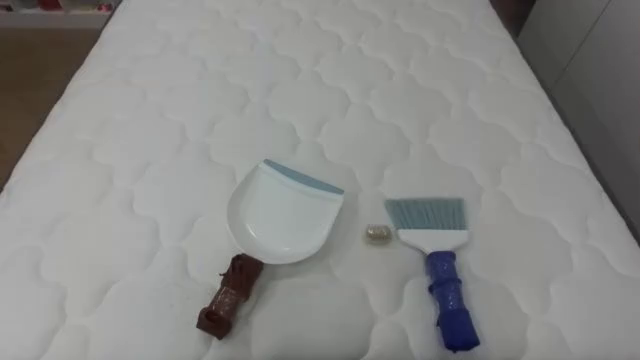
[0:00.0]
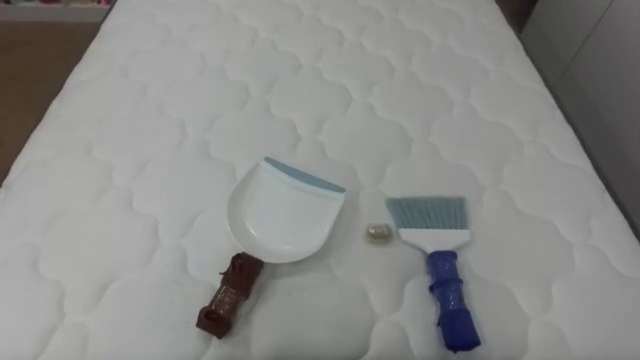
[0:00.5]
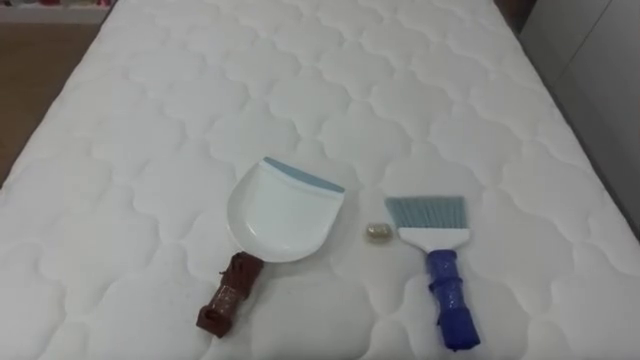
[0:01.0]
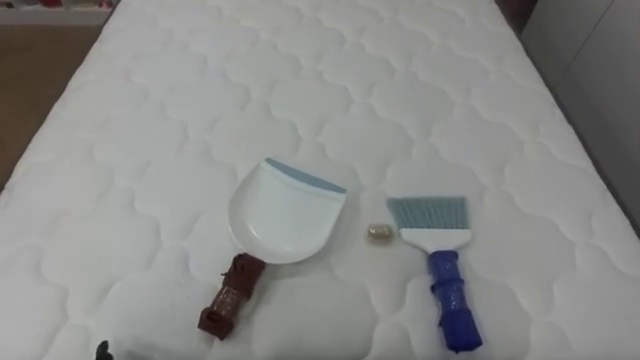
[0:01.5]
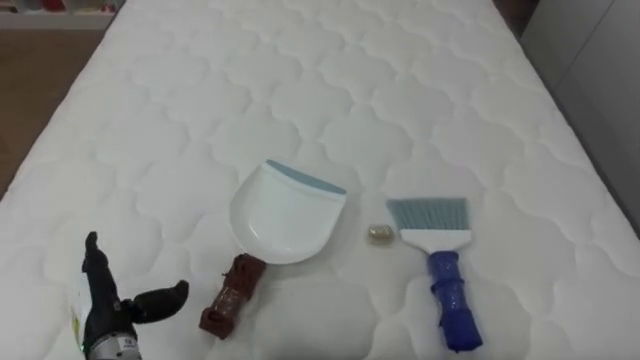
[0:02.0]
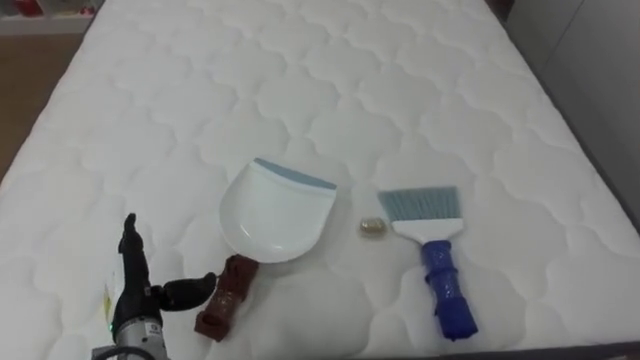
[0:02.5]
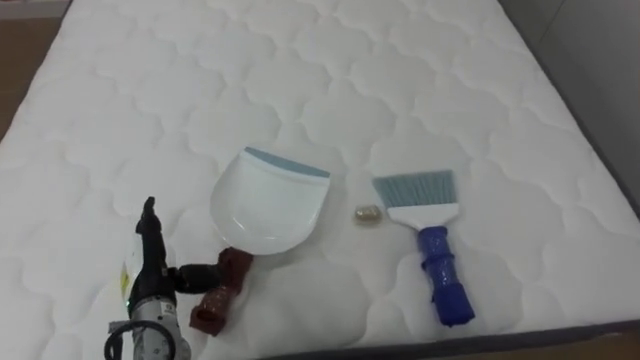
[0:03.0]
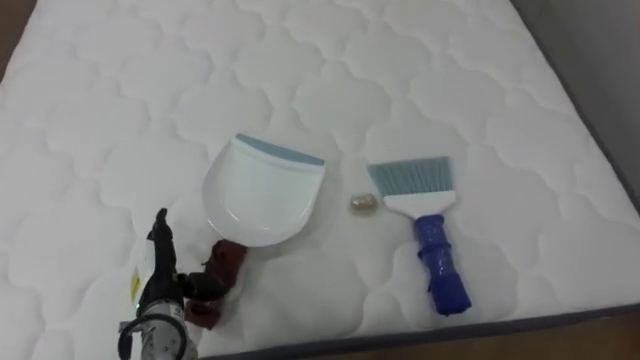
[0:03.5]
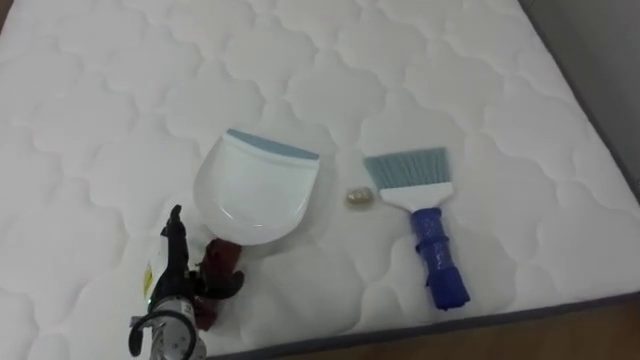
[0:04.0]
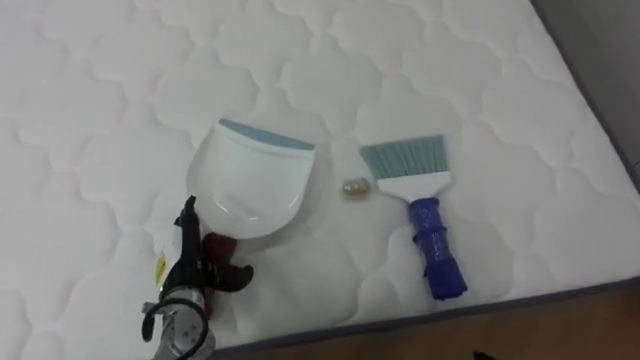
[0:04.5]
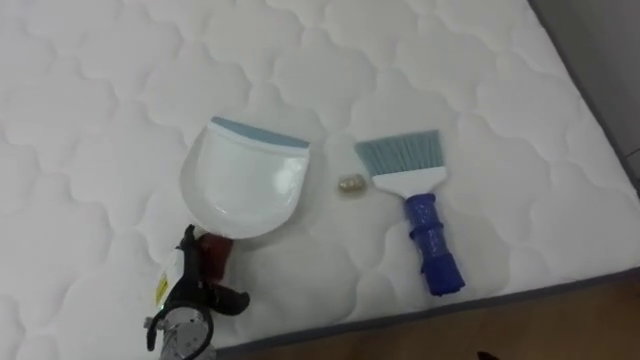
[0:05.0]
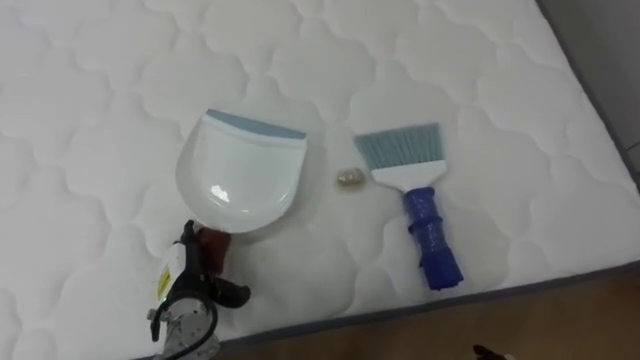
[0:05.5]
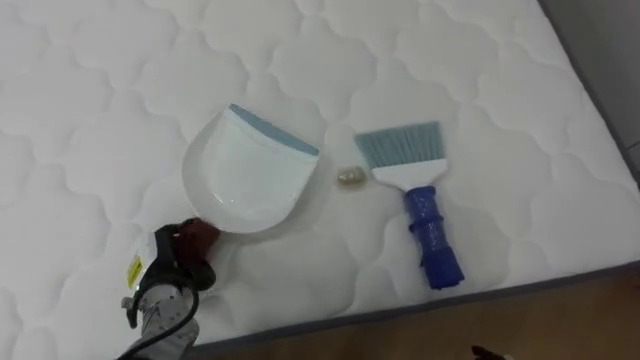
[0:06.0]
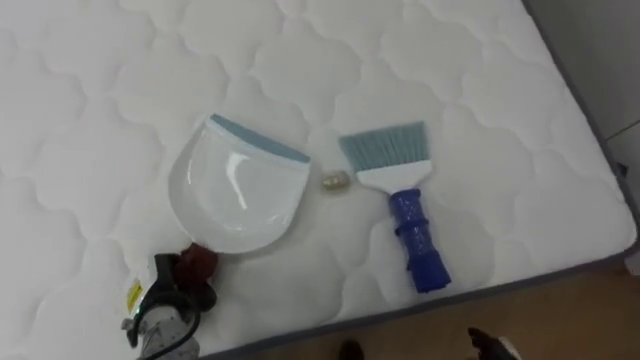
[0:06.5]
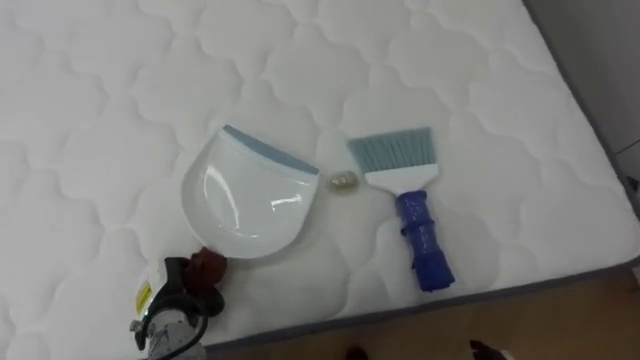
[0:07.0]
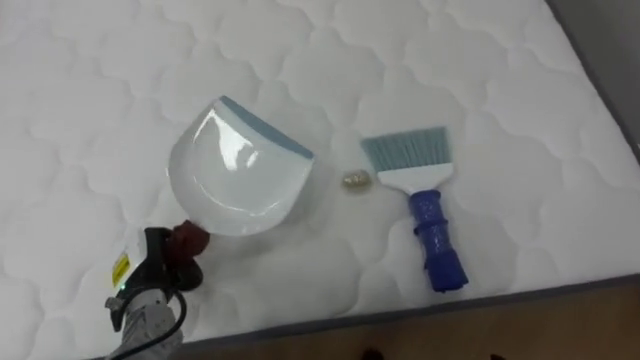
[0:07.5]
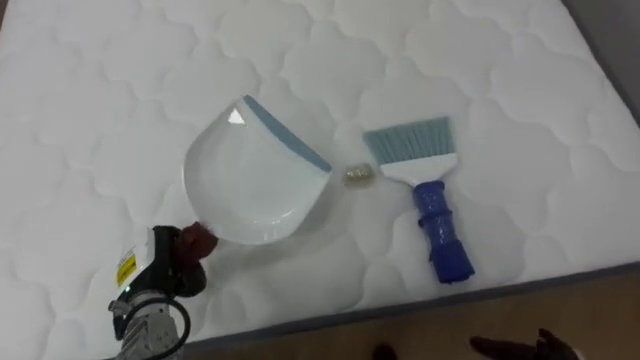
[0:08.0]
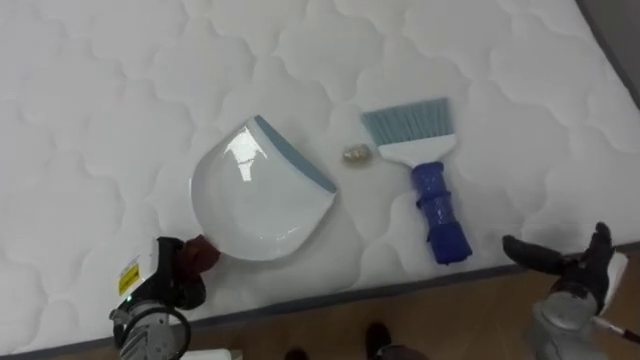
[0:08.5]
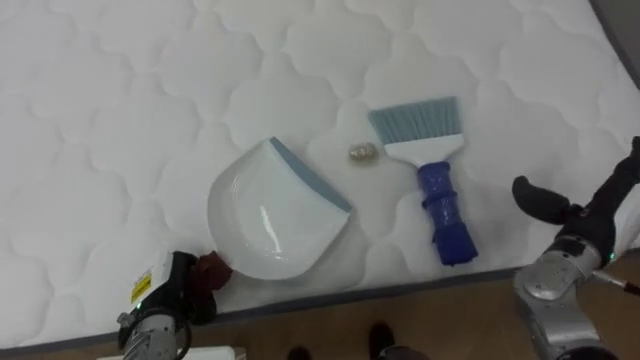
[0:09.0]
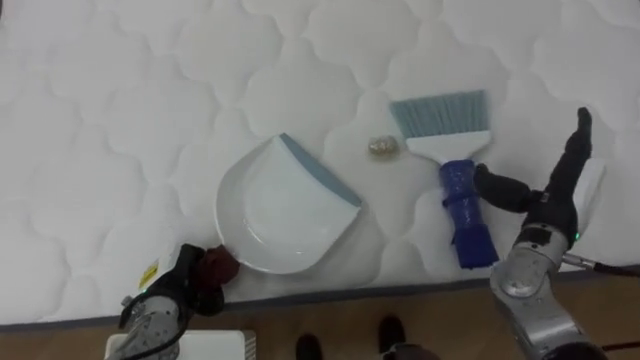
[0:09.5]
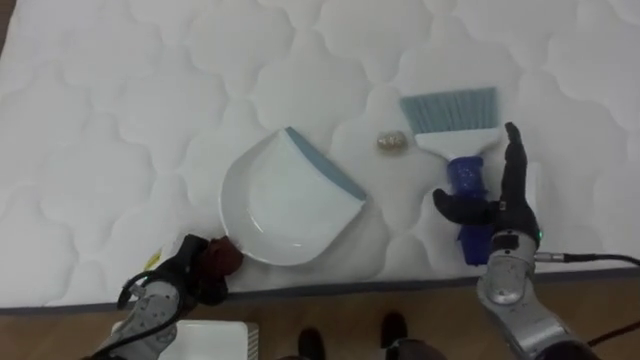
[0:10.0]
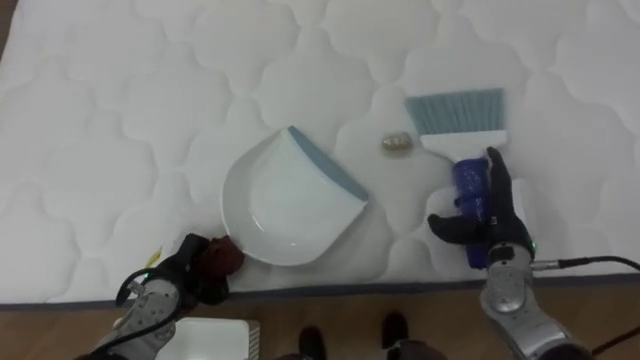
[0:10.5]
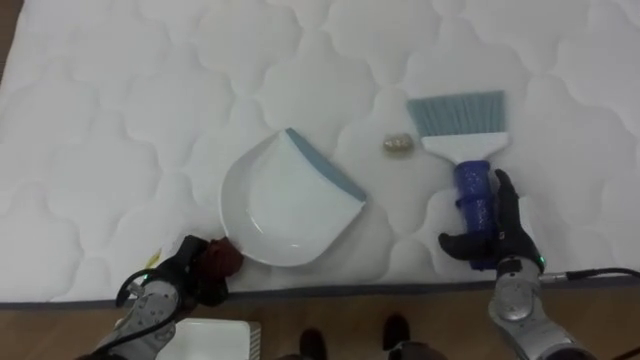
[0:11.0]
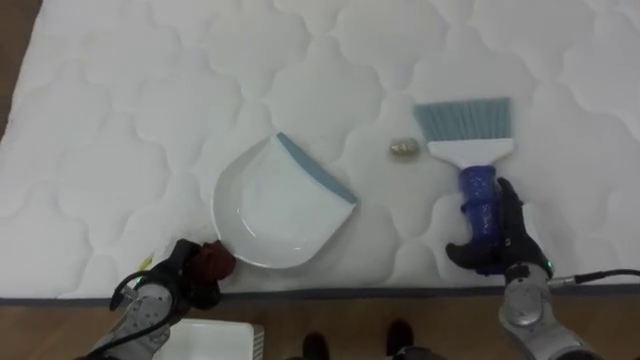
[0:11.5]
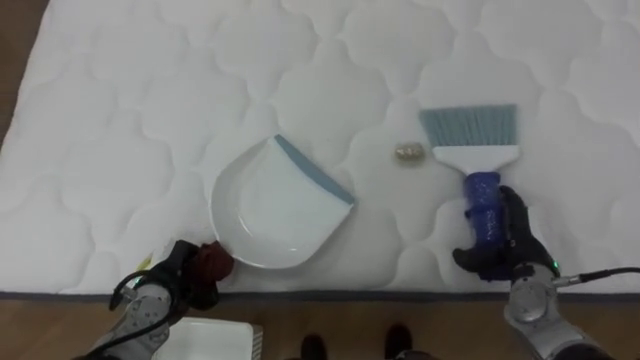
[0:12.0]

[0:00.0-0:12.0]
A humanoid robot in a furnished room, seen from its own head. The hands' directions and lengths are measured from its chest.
Task of the whole recording: Pick up the brush on your right and the dustpan on your left. Use the brush to sweep the crumpled paper on the bed into the dustpan, then turn left and empty it into the basket.
0:02.0 to 0:04.0: The left hand travels to the right and forward by about 10 cm.
0:04.0 to 0:06.0: The left hand closes its fingers.
0:06.0 to 0:08.0: The left hand closes up.
0:10.0 to 0:12.0: The right hand travels downward by roughly 5 cm.

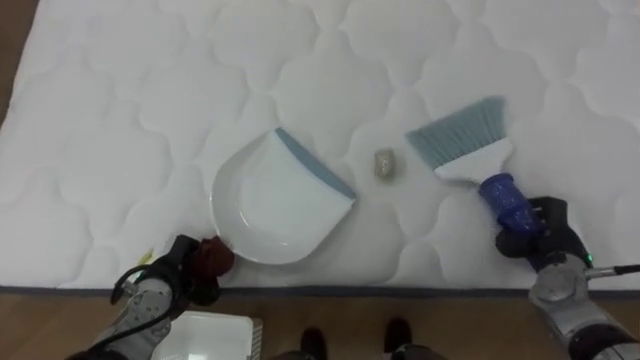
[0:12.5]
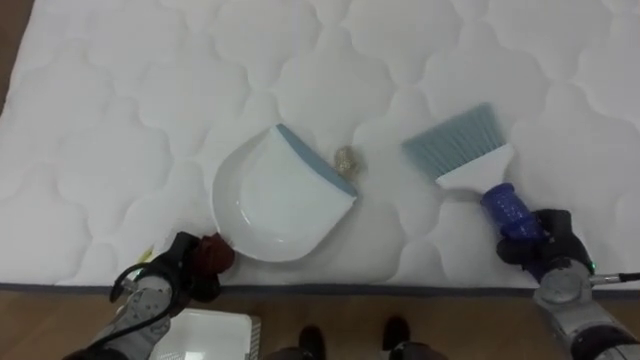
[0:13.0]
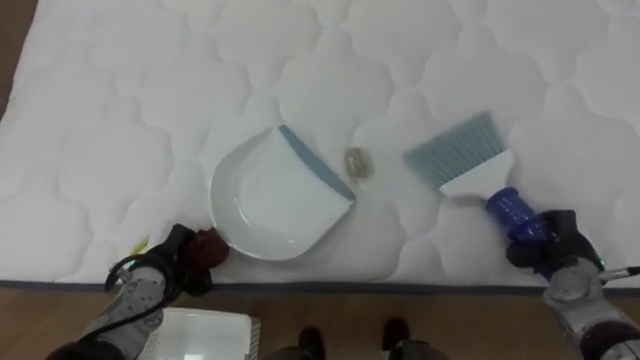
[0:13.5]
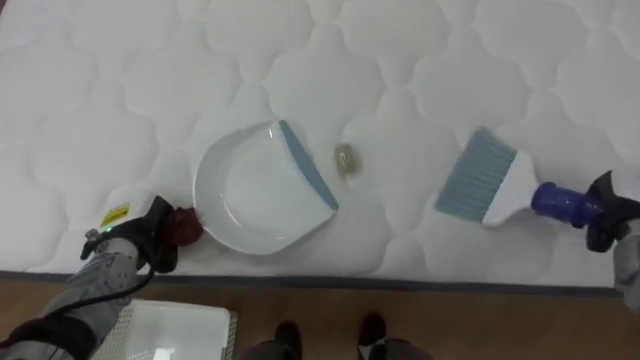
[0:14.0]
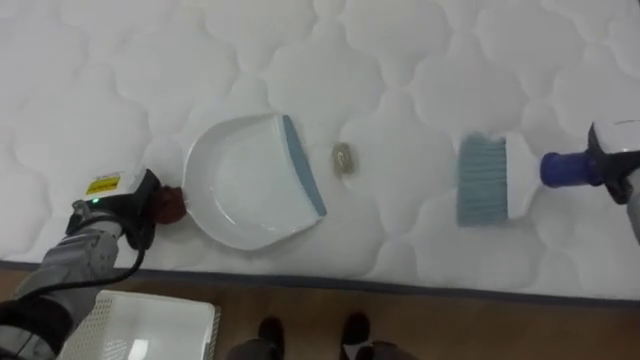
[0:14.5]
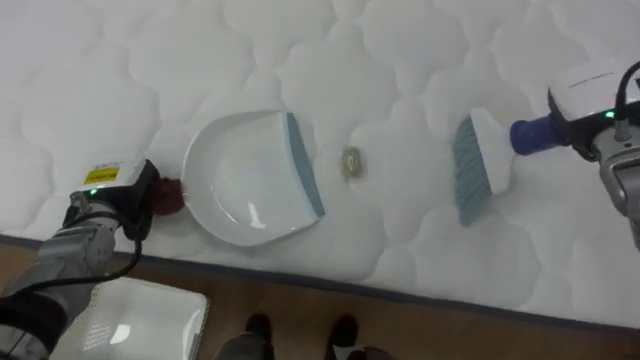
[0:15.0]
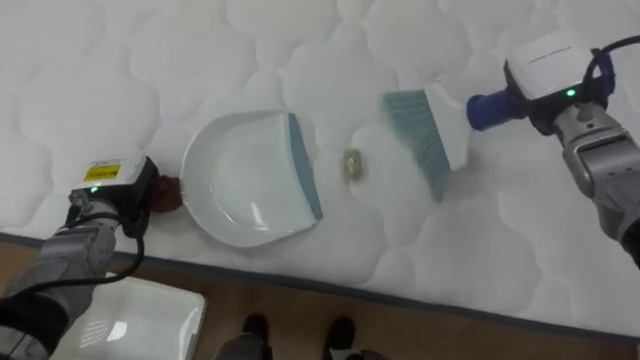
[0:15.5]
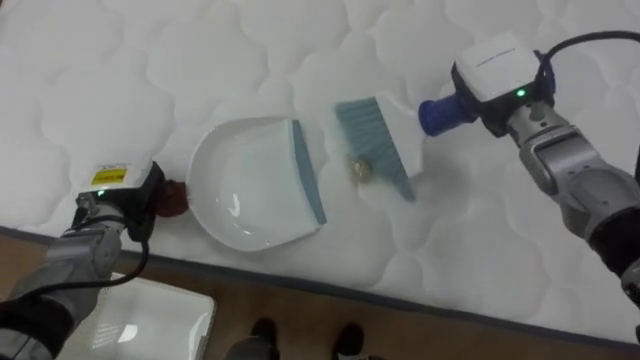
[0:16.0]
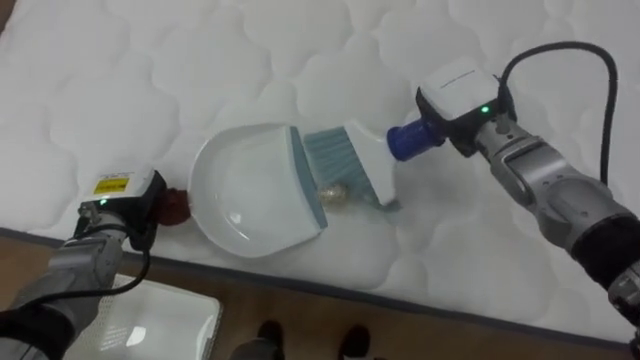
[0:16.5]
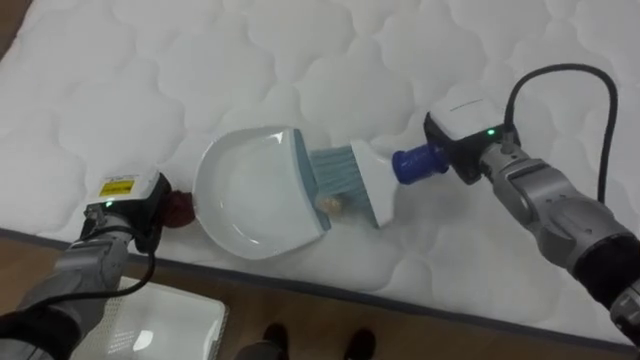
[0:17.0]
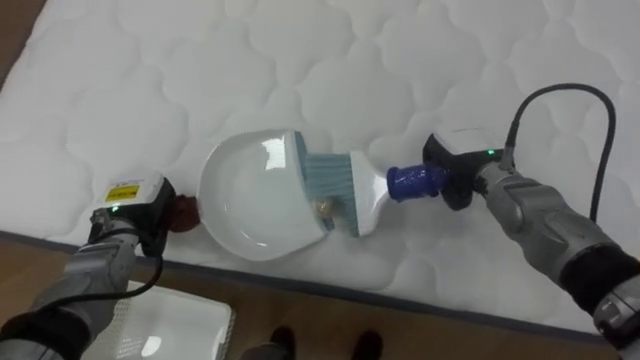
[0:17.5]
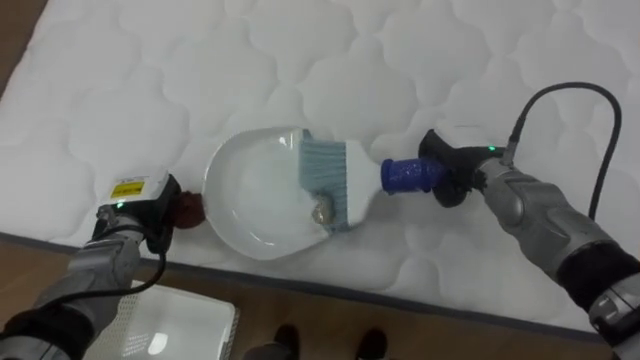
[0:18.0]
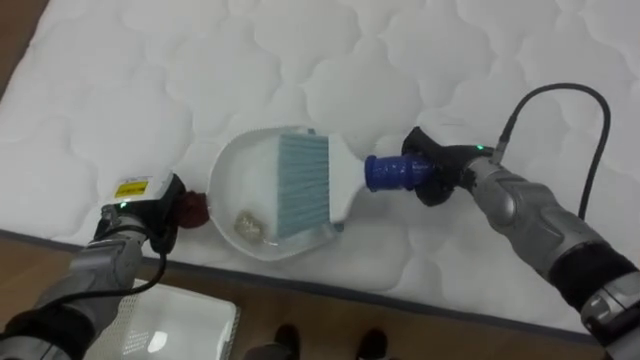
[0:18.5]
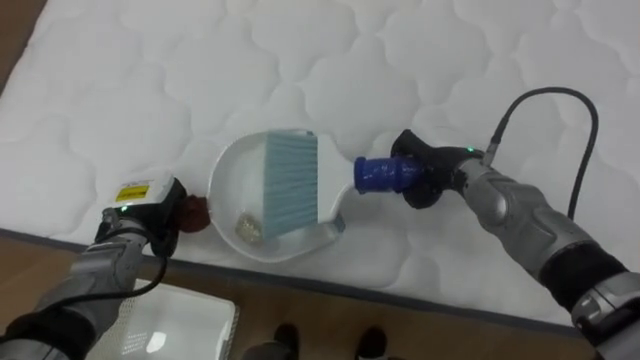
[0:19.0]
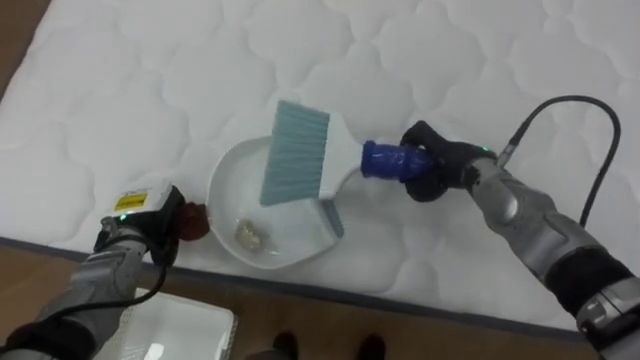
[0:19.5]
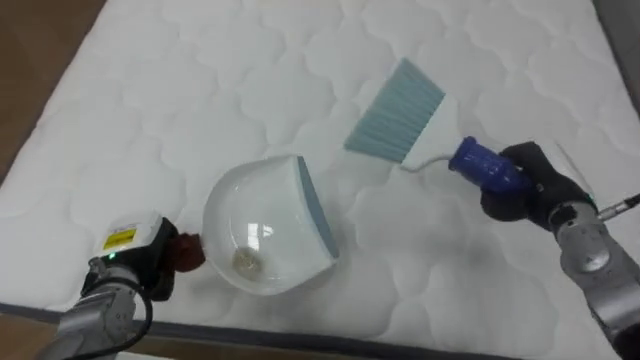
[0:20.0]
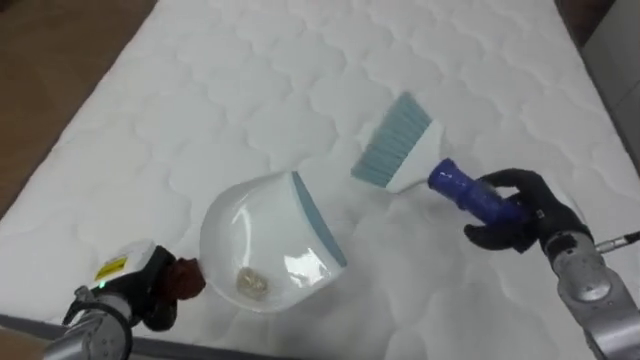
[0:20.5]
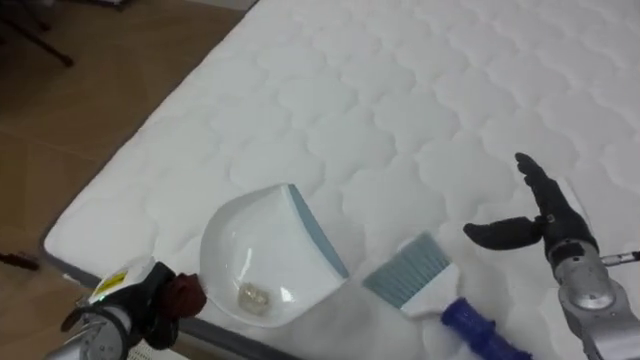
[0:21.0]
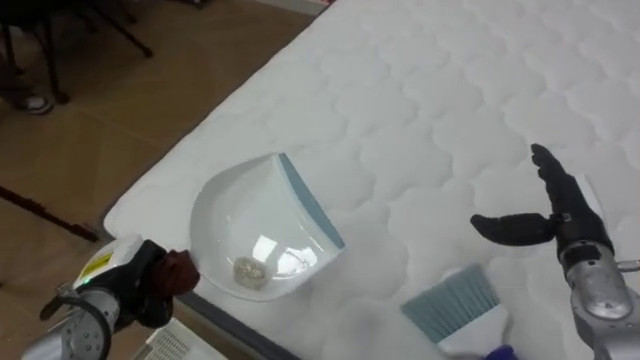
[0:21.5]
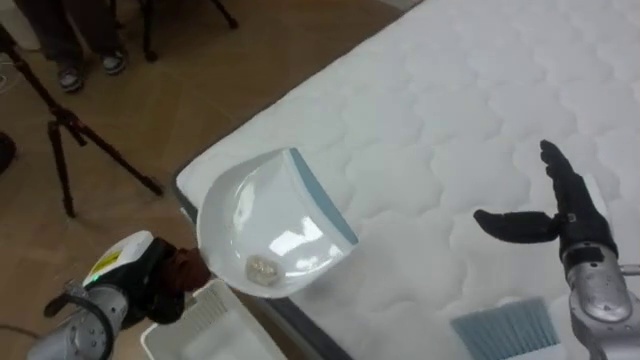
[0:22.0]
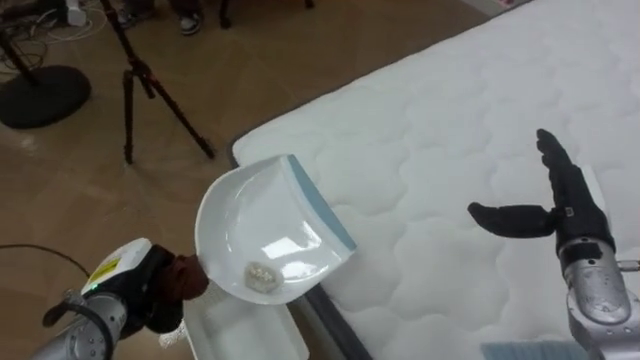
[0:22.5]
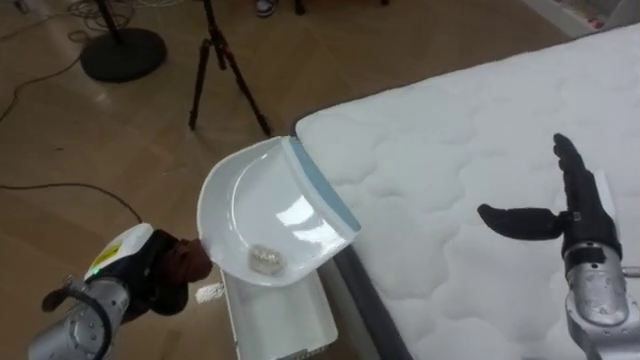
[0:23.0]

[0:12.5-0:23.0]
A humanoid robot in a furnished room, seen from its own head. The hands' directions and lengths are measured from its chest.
Task of the whole recording: Pick up the brush on your right and the dustpan on your left. Use the brush to sweep the crumpled paper on the bed into the dustpan, then turn left and empty it into the basket.
0:12.5 to 0:14.5: The right hand moves upward, forward and to the right, approximately 15 cm. Meanwhile the left hand heads upward, forward and to the left, covering roughly 10 cm.
0:14.5 to 0:16.5: The right hand shifts roughly 20 cm to the left.
0:16.5 to 0:19.0: The right hand heads downward, covering approximately 5 cm.
0:19.0 to 0:21.0: The robot rotates roughly 15 degrees to its left. The left hand travels backward and downward by roughly 10 cm. The right hand is displaced to the right and backward by about 15 cm, and opens up.
0:21.0 to 0:23.0: The robot faces about 50 degrees further to its left.
